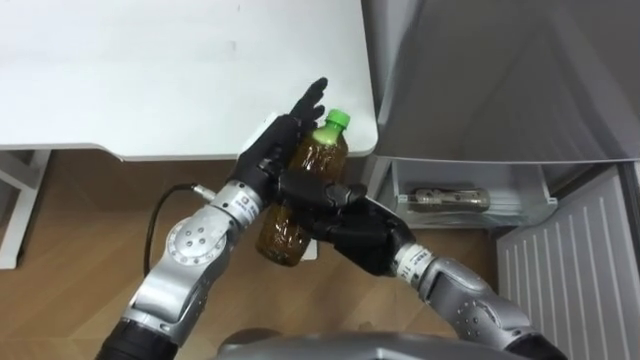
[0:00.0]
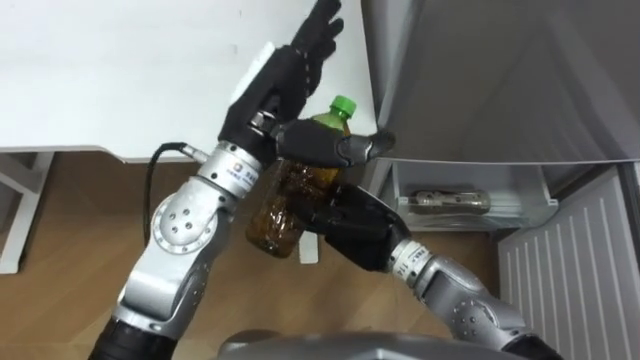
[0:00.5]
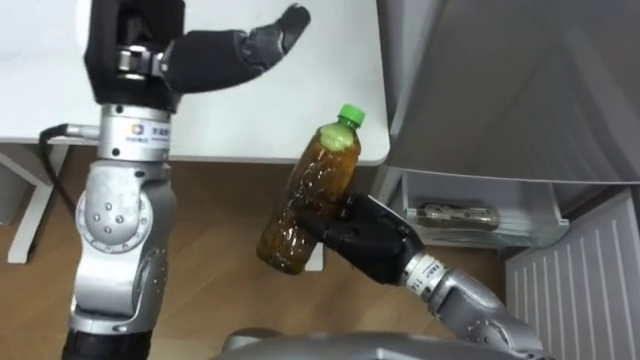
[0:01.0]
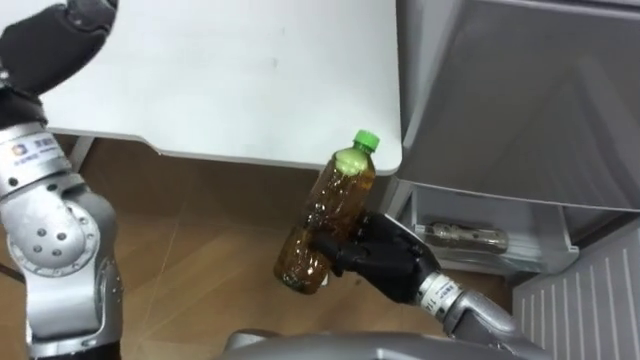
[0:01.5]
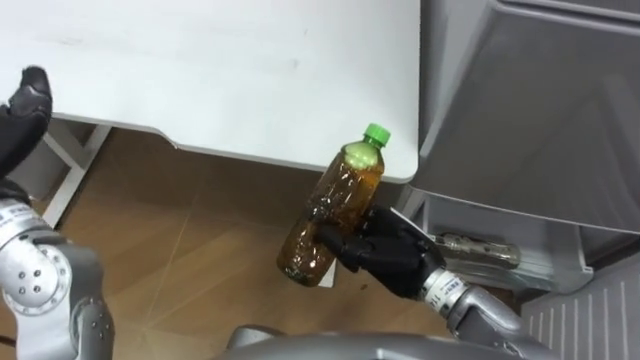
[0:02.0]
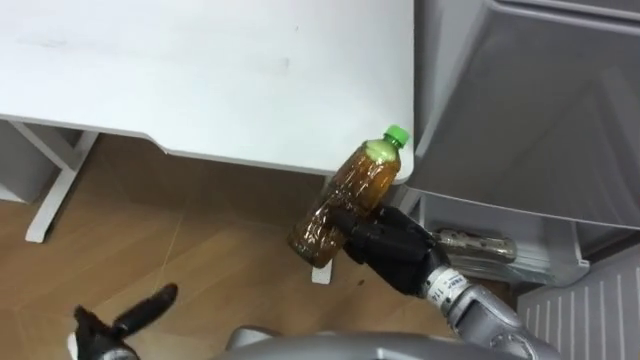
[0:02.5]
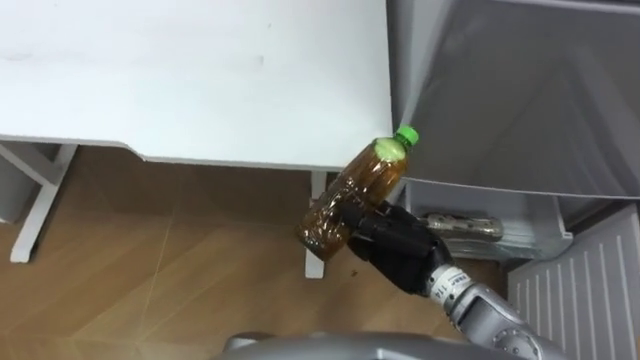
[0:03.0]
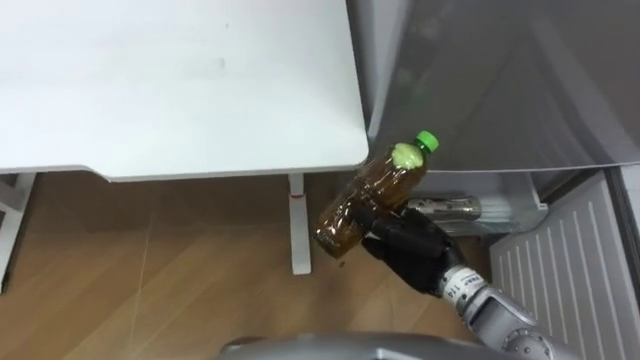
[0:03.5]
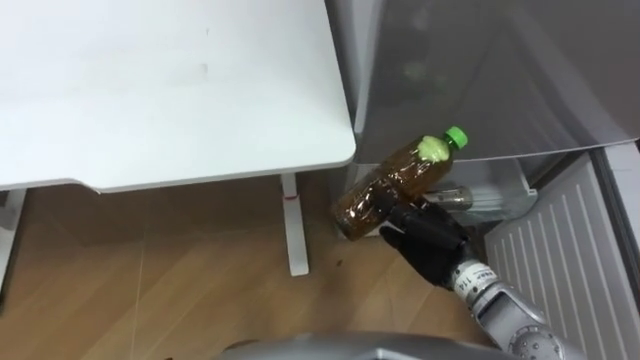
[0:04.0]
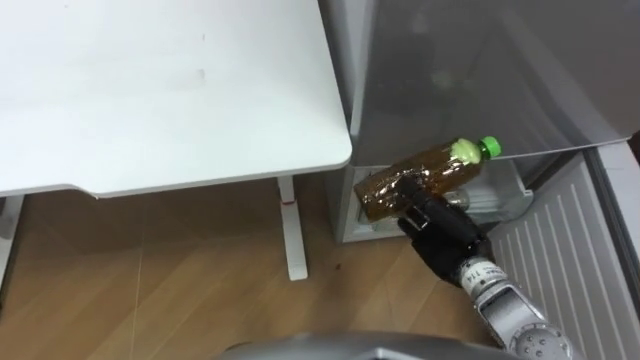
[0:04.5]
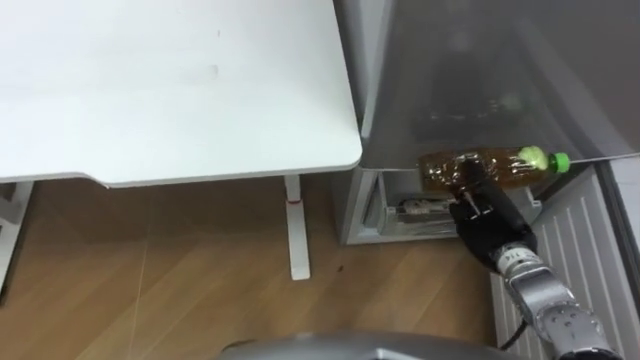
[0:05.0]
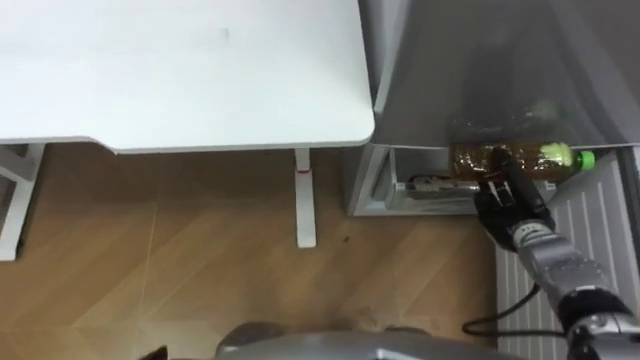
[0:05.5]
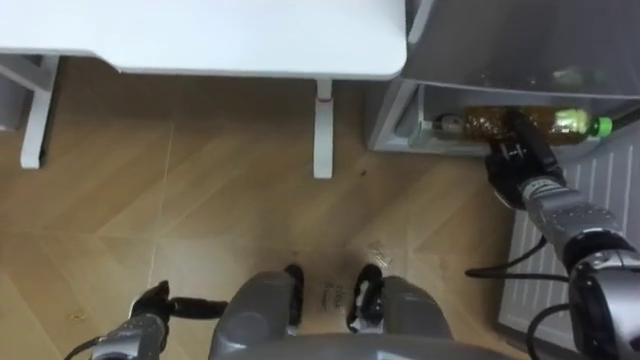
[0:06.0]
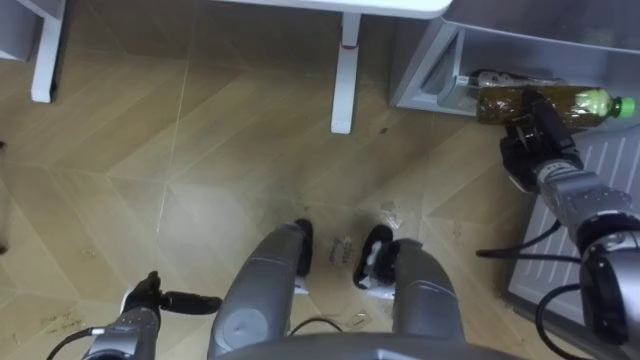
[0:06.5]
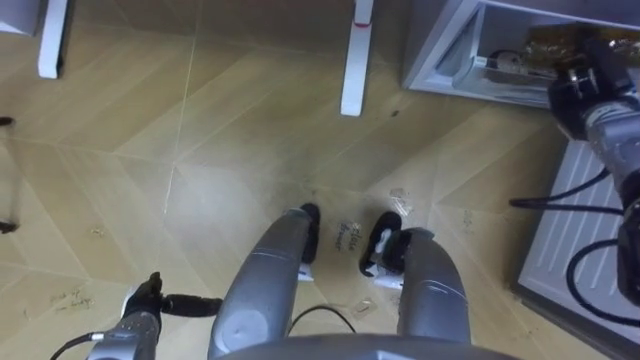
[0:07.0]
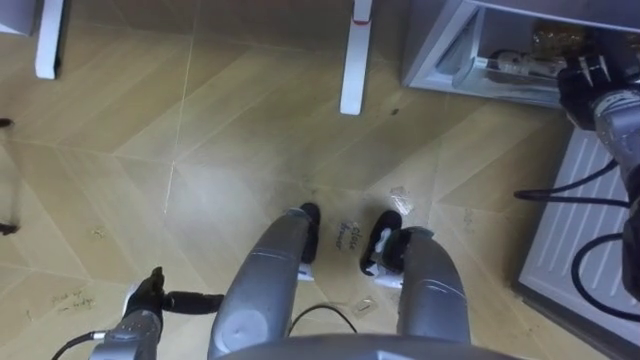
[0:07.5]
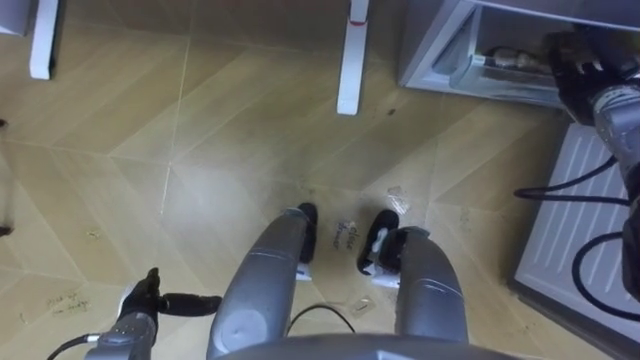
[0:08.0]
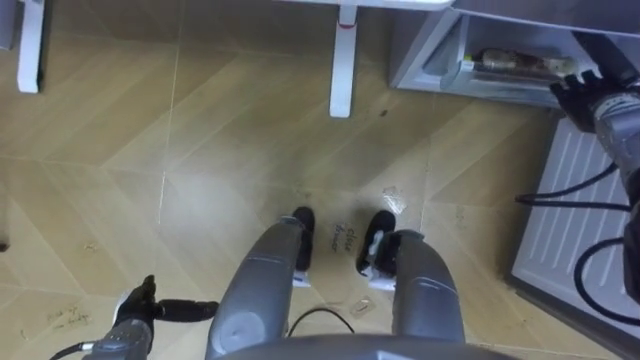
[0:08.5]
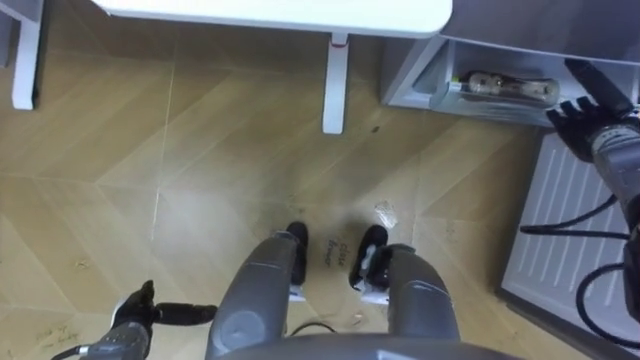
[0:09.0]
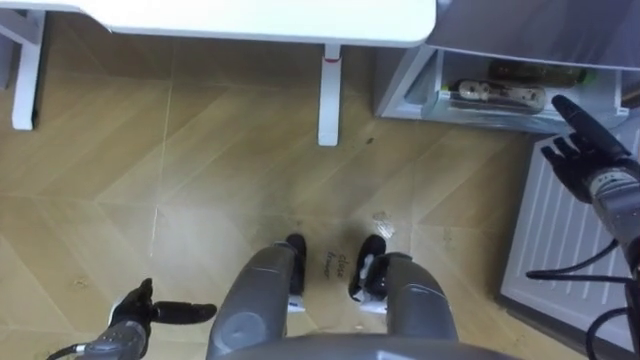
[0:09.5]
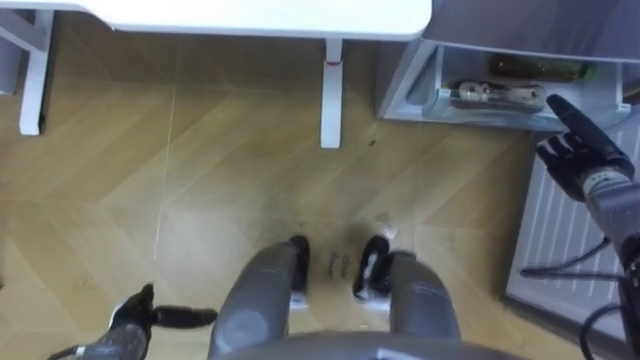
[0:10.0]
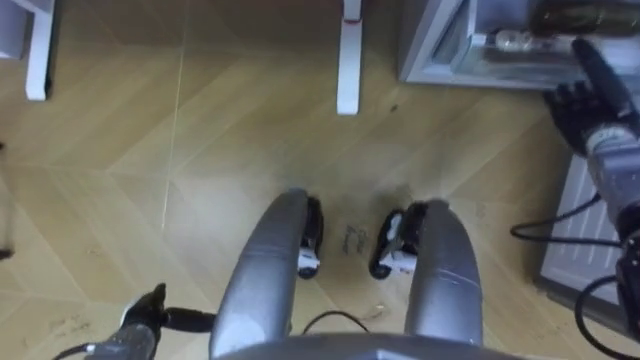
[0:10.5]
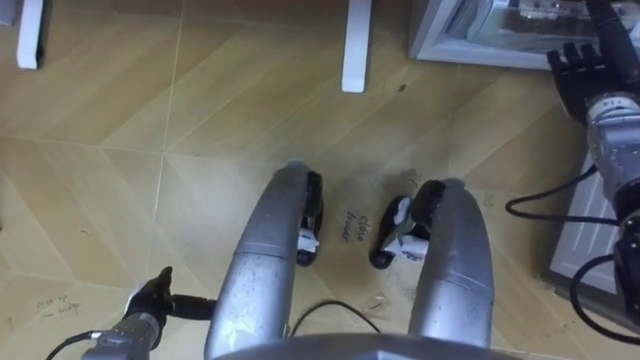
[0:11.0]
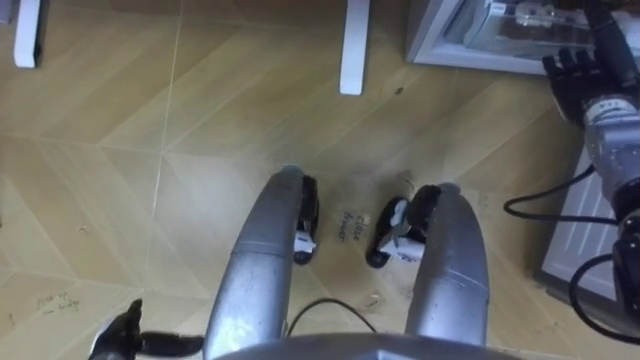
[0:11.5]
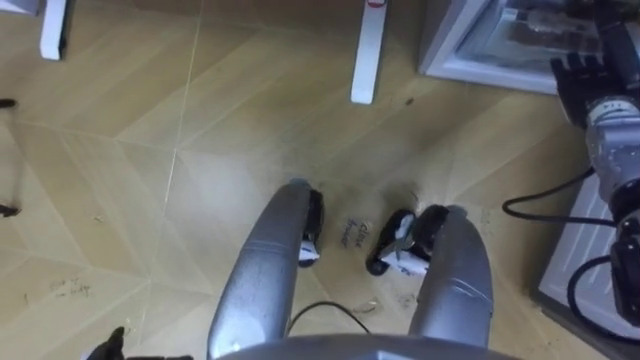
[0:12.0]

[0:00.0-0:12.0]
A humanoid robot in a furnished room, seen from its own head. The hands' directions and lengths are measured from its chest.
Task of the whole recording: Place the drink on the table on the bottom shelf of the refrigerator, then close the drawer and the refrigerator door.
0:02.0 to 0:04.0: The right hand goes about 5 cm to the right.
0:04.0 to 0:06.0: The right hand shifts approximately 15 cm to the right and forward.
0:06.0 to 0:08.0: The right hand heads upward, forward and to the right, covering about 15 cm, and opens up.
0:08.0 to 0:10.0: The right hand moves downward and backward, approximately 10 cm.
0:10.0 to 0:12.0: The right hand heads upward and forward, covering roughly 10 cm.

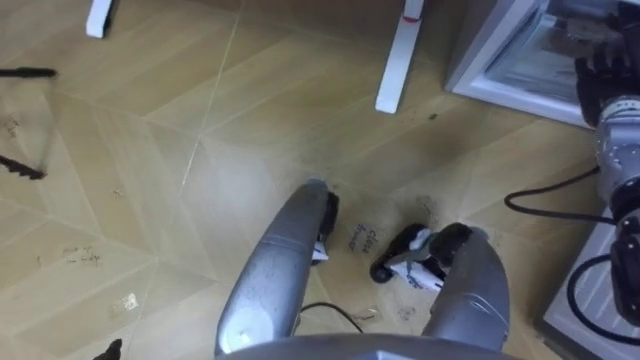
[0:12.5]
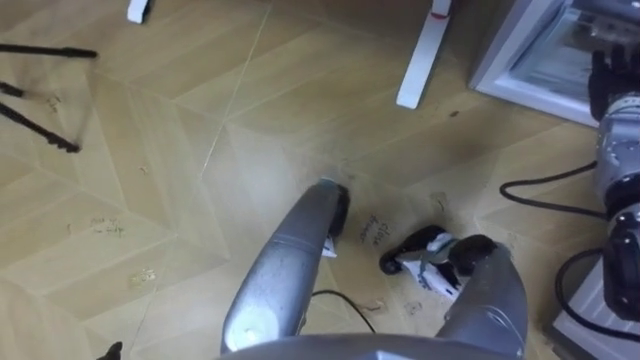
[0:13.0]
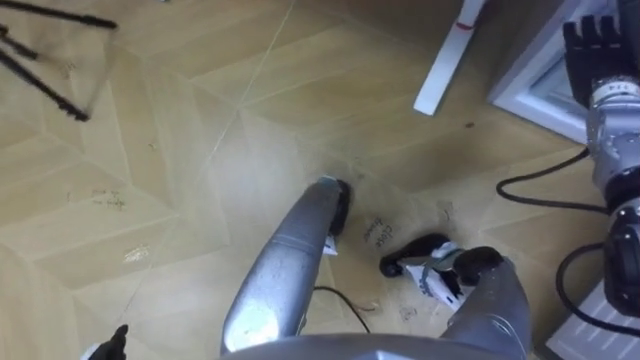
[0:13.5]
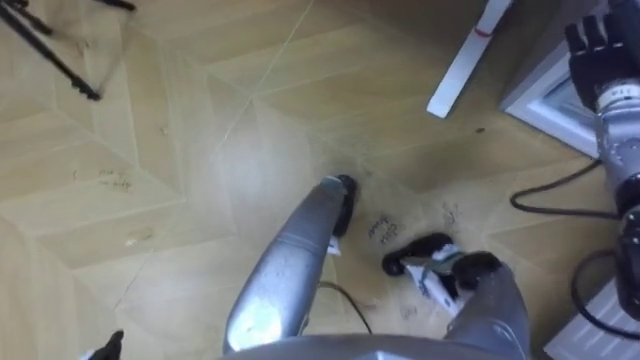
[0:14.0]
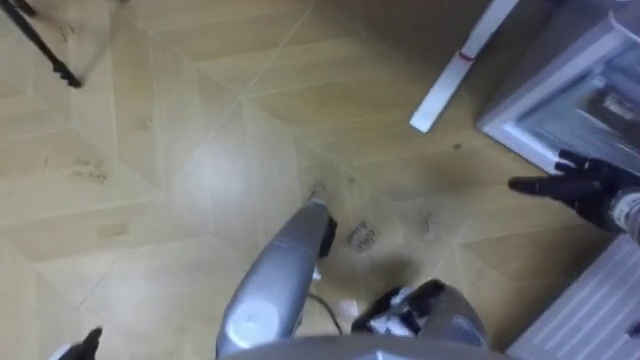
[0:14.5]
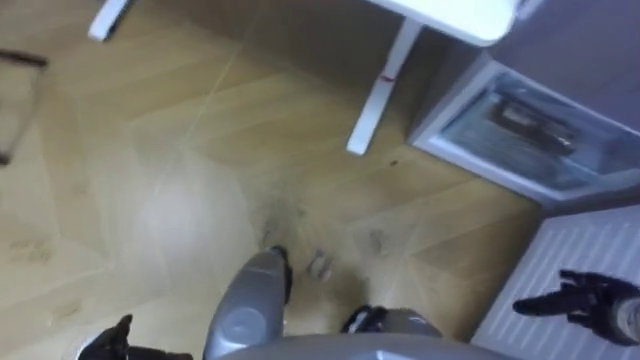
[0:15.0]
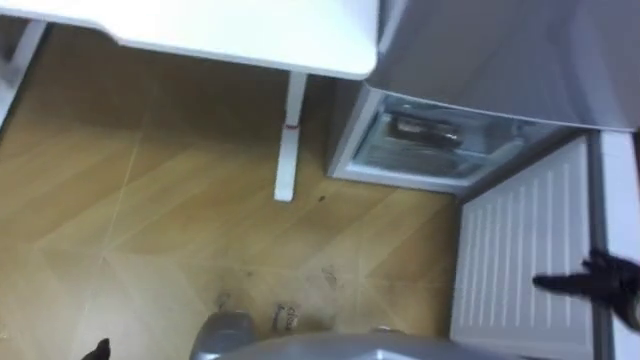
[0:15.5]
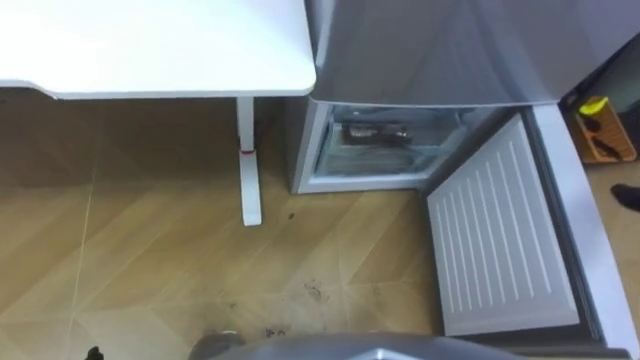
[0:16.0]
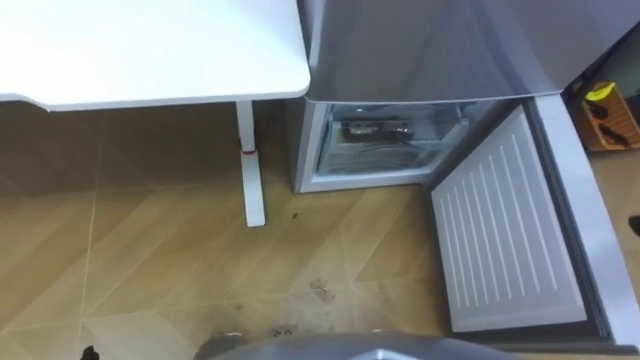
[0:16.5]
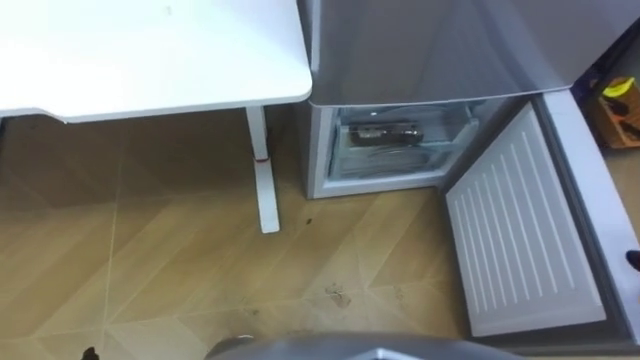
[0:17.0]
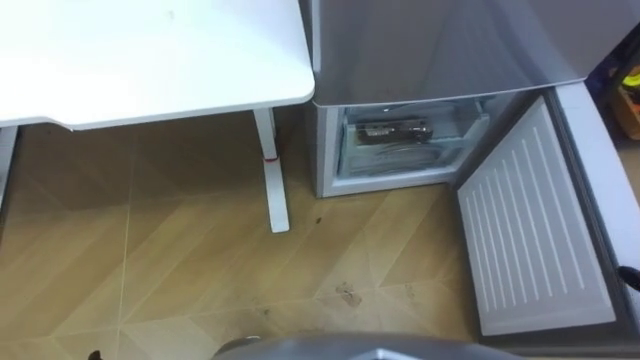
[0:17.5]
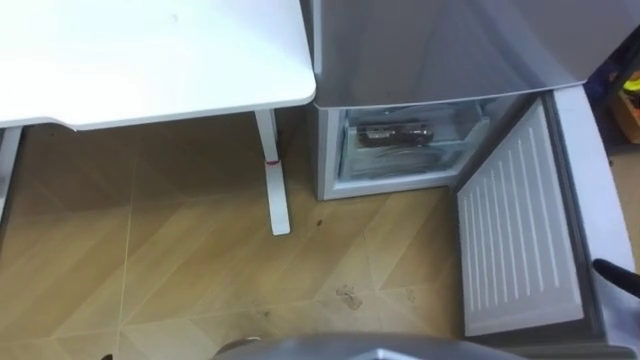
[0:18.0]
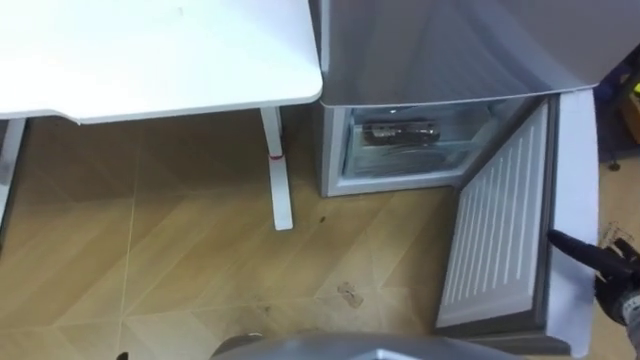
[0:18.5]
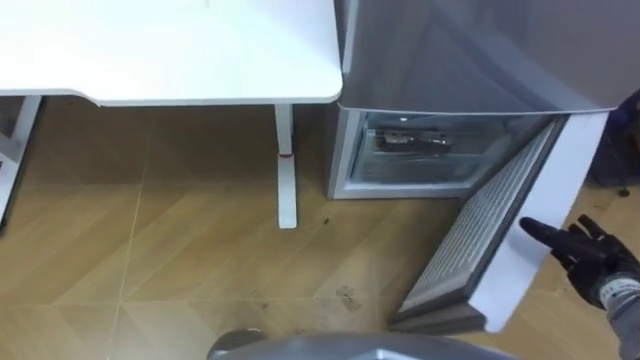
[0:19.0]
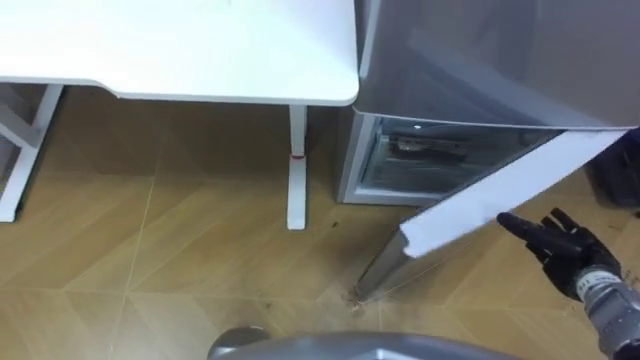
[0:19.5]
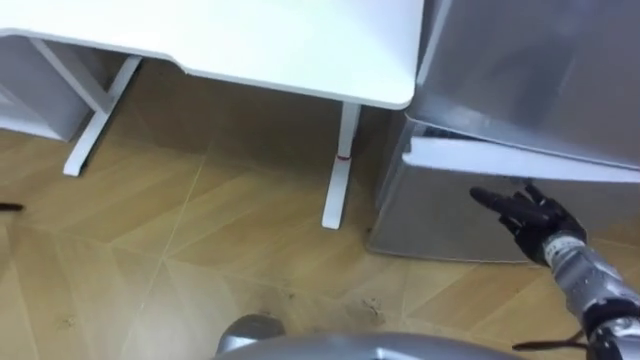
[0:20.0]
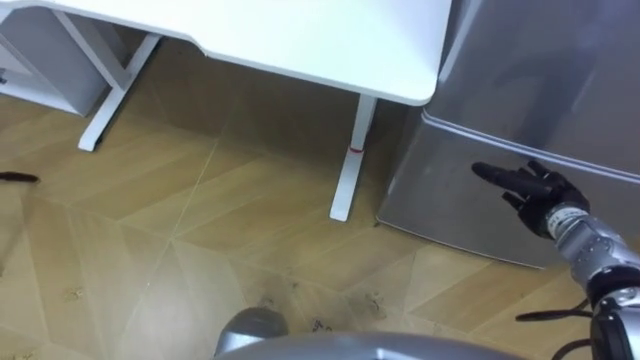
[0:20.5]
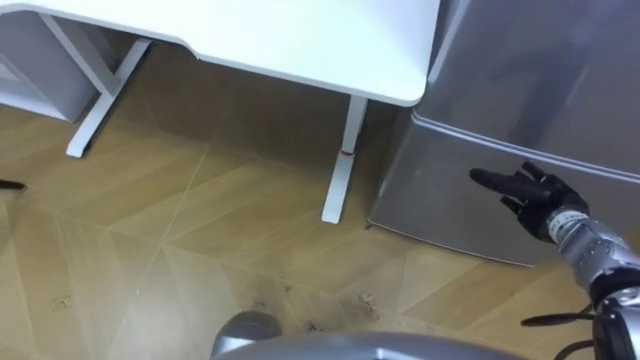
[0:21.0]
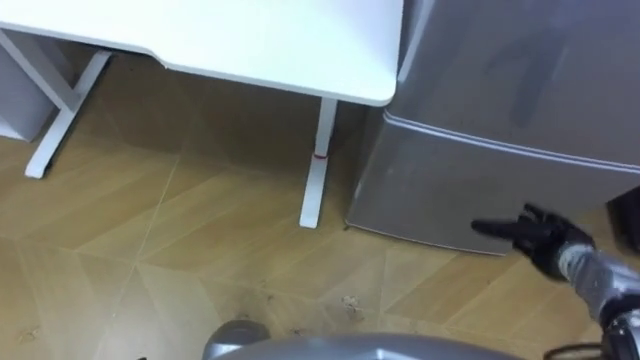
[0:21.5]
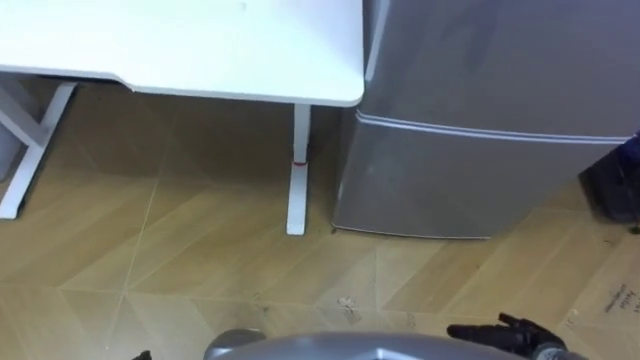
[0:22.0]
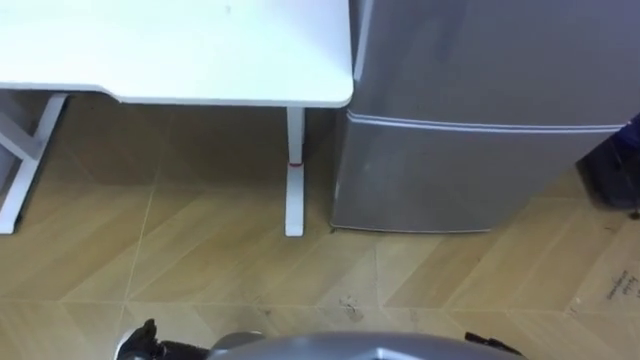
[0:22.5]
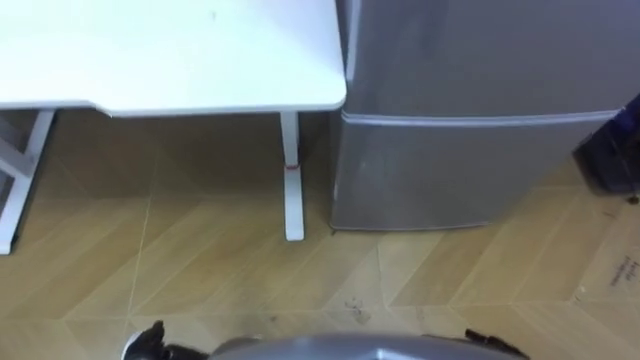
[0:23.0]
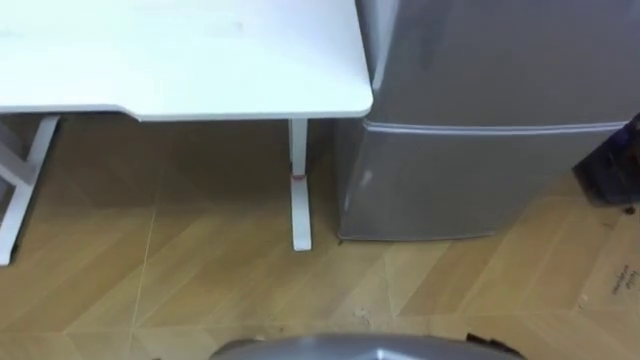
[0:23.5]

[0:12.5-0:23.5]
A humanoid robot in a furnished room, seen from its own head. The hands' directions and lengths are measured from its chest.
Task of the whole recording: Place the drink on the table on the bottom shelf of the refrigerator, then close the drawer and the refrigerator door.
0:12.5 to 0:14.5: The right hand travels backward and downward by roughly 15 cm.
